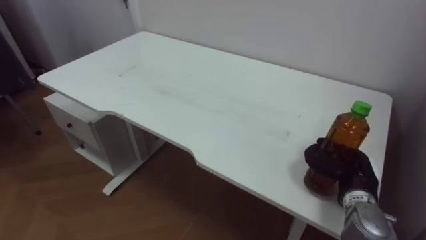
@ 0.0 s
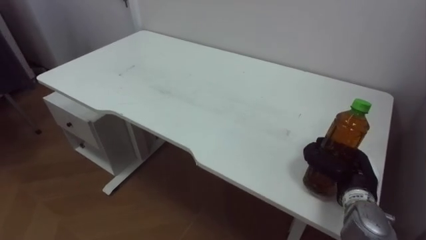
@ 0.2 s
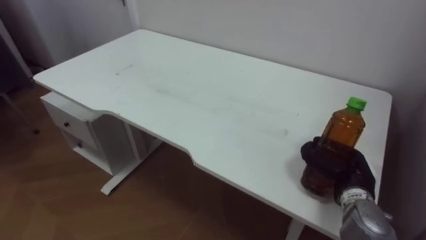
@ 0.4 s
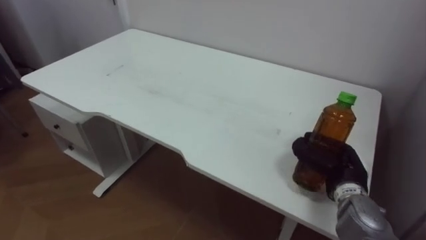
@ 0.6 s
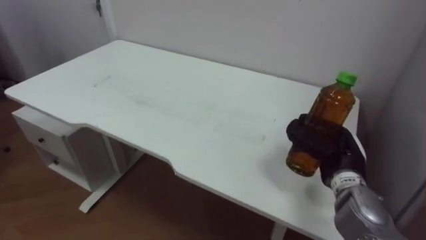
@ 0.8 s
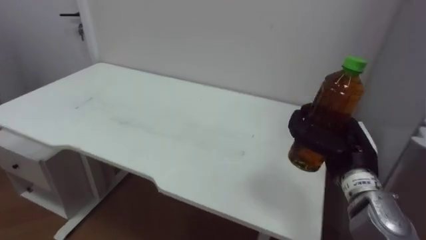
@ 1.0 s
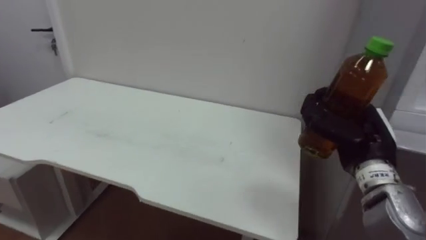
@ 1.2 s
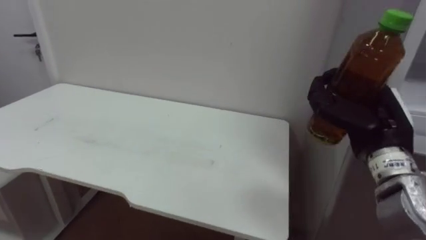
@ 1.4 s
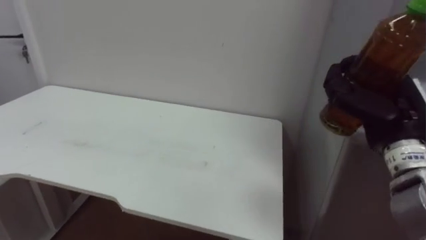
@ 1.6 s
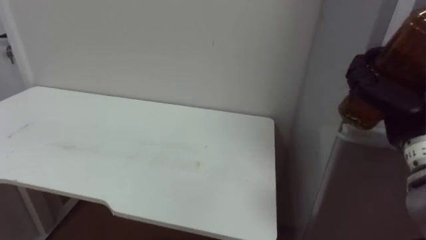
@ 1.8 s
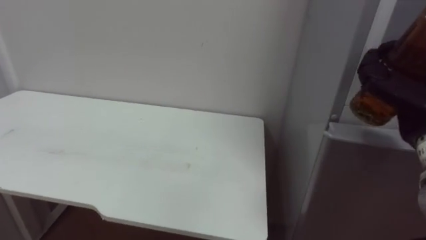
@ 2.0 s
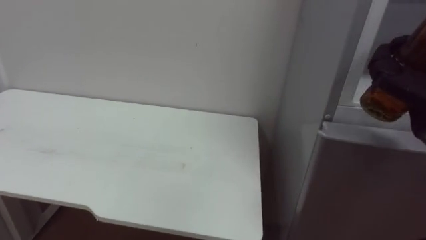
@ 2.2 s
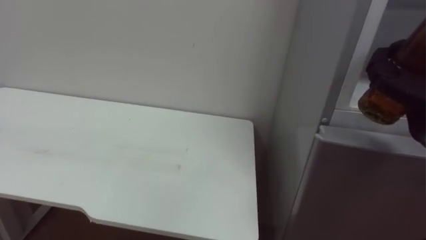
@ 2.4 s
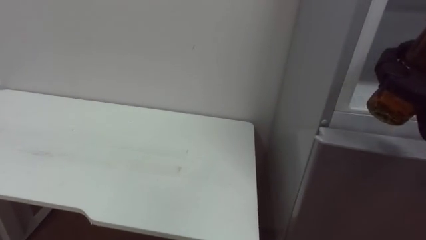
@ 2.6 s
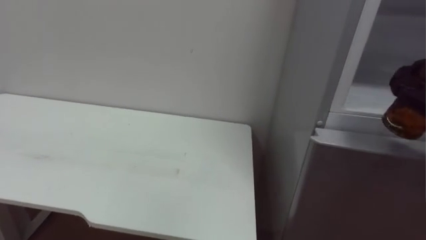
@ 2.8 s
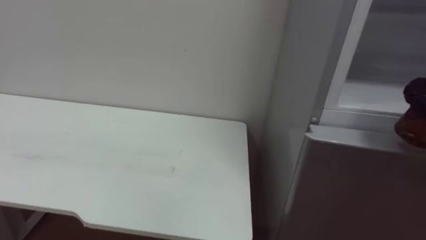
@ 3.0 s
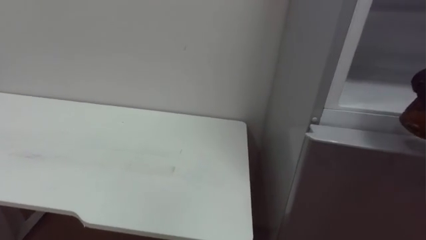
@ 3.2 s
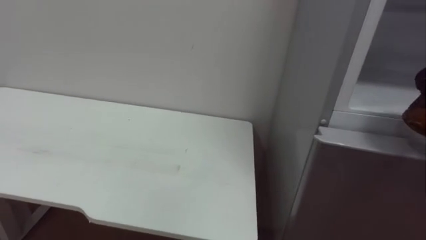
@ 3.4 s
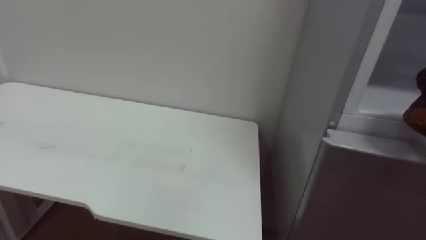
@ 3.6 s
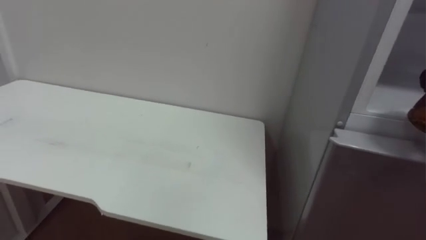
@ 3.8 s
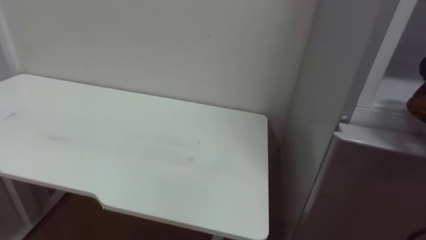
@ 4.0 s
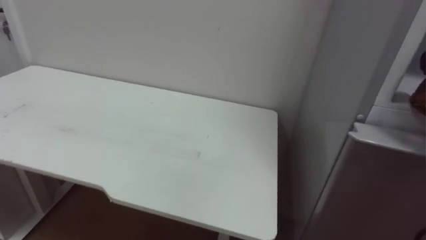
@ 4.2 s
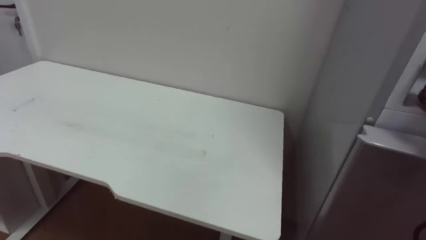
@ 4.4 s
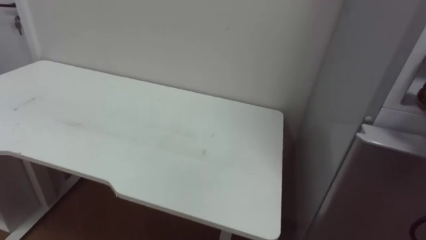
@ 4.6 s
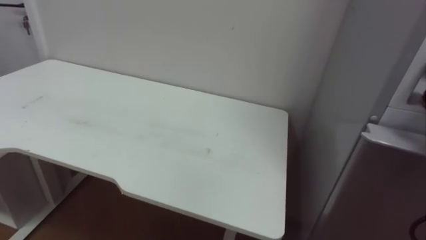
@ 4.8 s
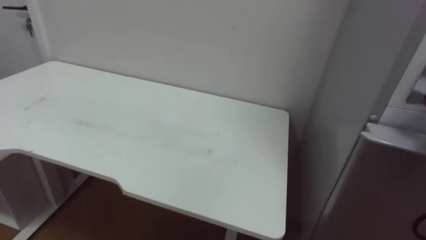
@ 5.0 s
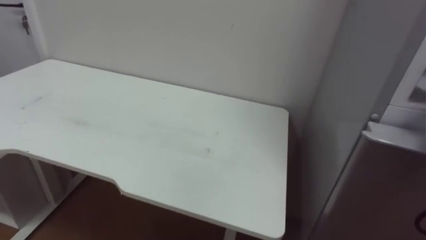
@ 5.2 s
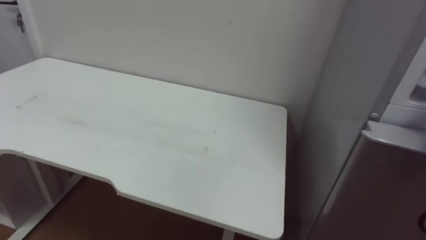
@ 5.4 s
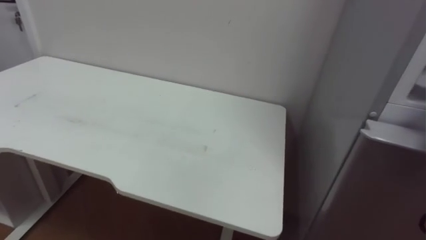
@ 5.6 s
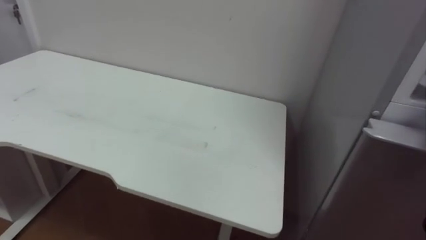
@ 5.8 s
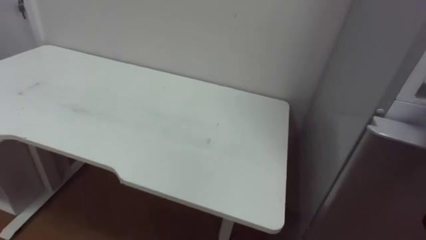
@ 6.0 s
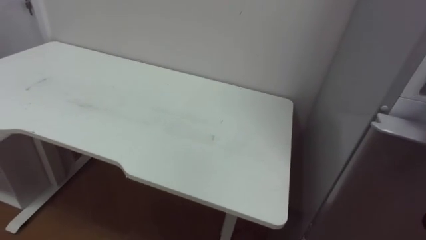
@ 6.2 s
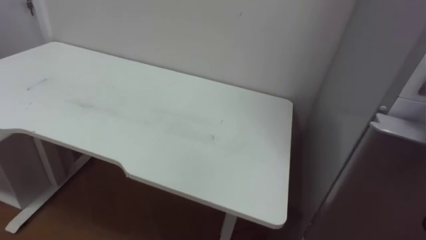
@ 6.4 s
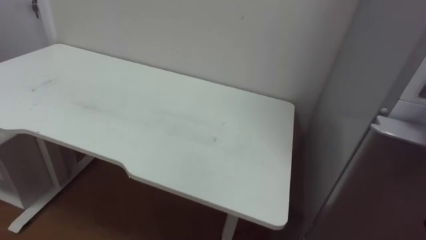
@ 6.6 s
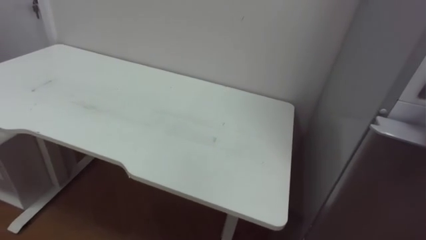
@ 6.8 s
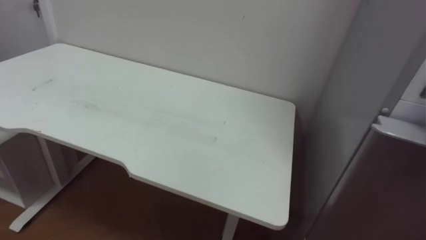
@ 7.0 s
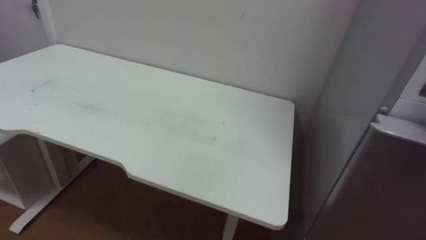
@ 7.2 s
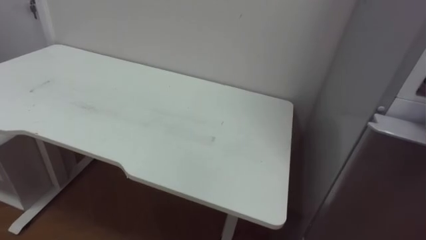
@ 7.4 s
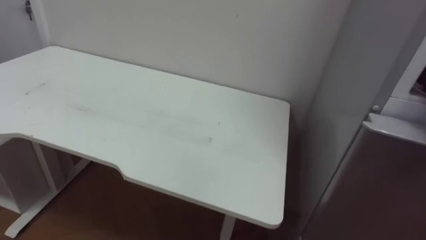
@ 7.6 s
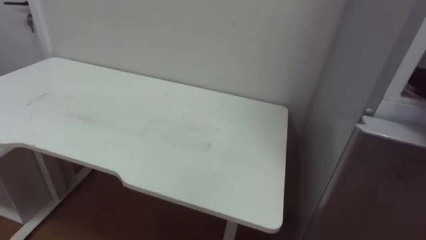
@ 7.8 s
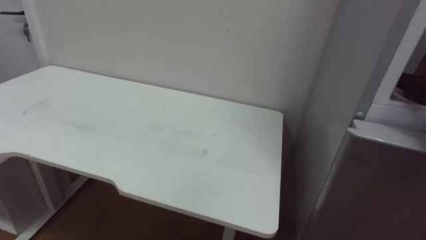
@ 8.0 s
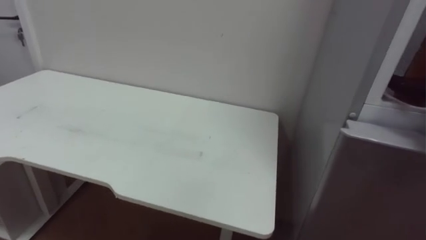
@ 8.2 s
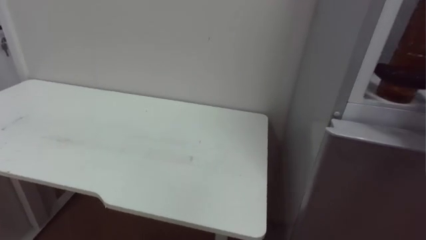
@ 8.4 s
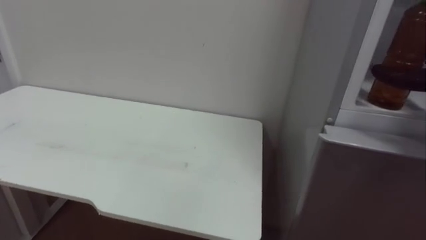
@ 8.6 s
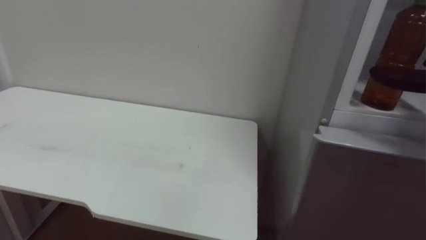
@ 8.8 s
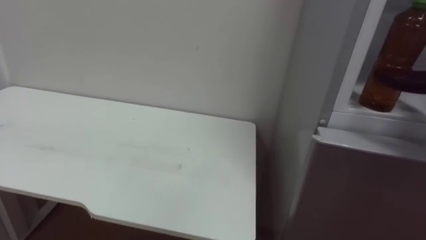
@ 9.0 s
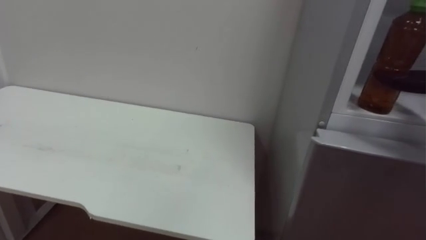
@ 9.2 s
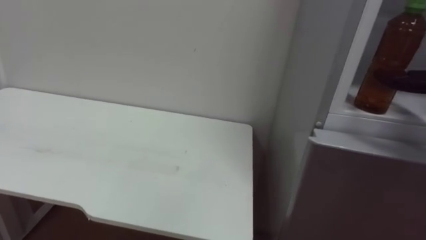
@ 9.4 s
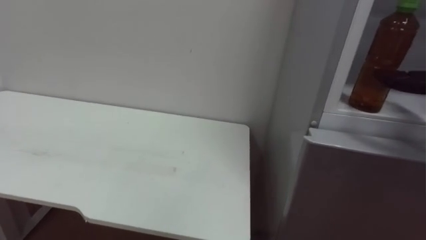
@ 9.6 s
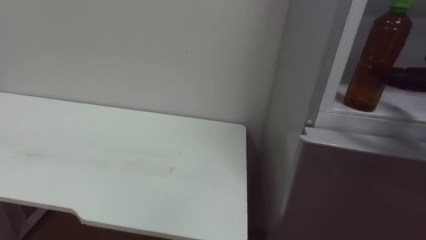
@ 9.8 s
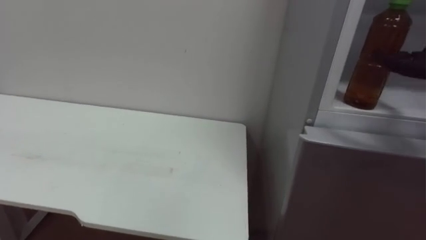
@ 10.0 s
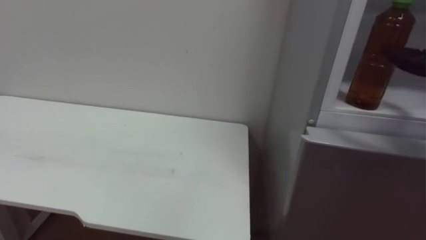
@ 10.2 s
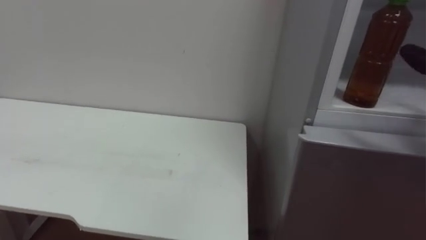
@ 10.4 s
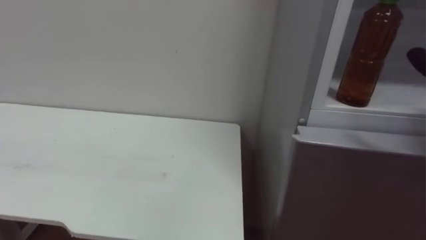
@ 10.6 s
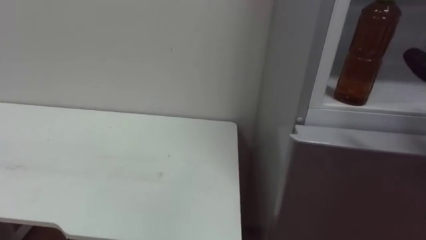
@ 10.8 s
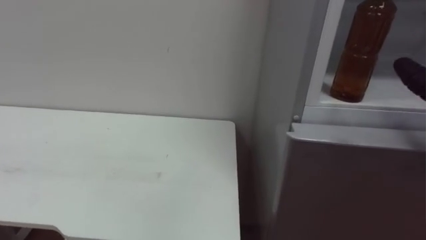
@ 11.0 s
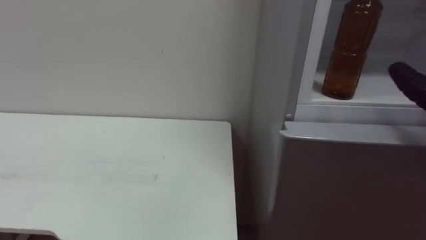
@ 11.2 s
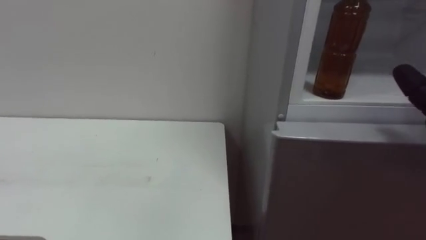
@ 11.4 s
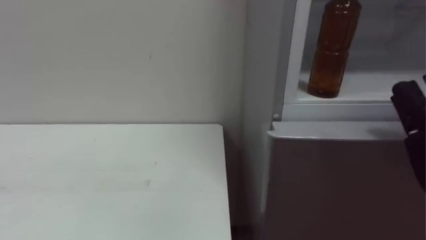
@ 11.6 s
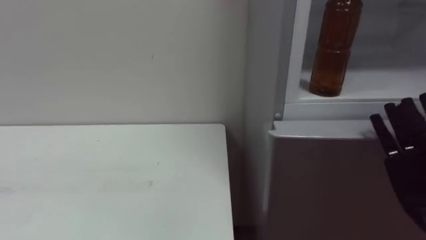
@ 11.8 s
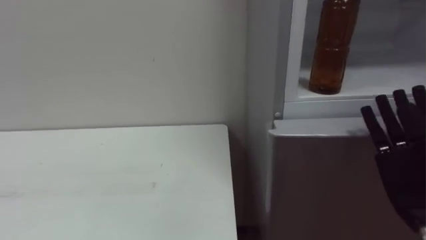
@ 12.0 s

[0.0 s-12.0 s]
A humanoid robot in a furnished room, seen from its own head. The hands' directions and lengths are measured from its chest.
Task of the whole recording: Open the upper refrigerator door, put the drink from the table into the refrigerator, and then close the refrigerator door.
0.0 to 1.6 s: The right hand goes about 15 cm upward.
